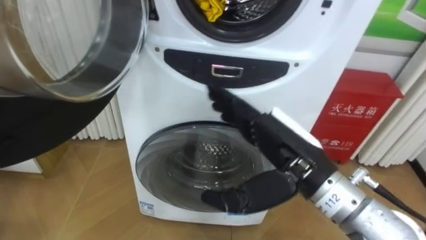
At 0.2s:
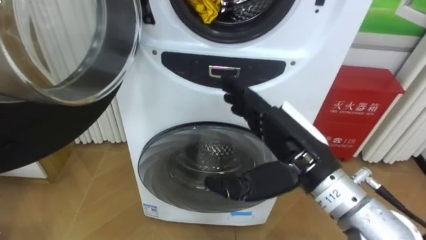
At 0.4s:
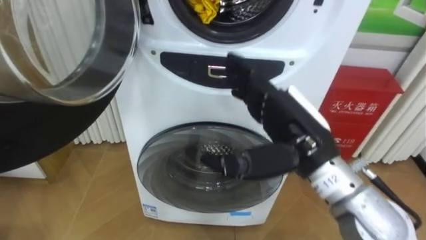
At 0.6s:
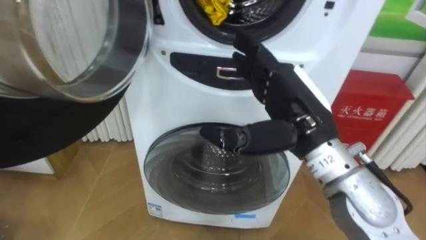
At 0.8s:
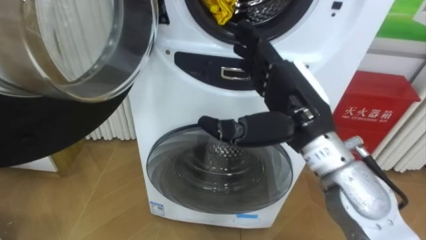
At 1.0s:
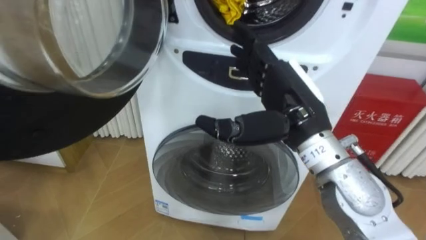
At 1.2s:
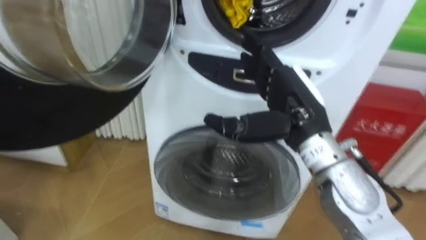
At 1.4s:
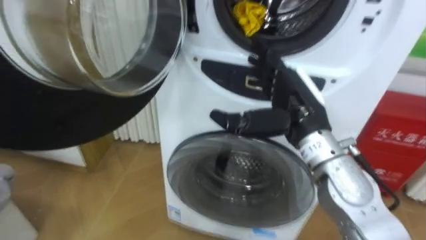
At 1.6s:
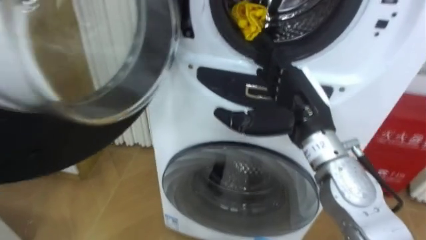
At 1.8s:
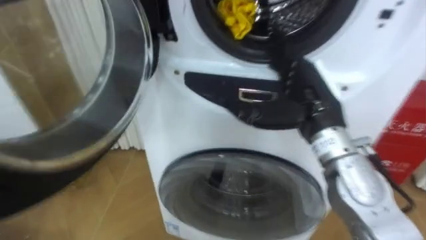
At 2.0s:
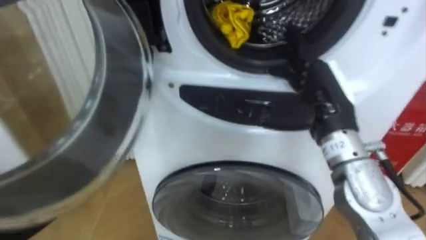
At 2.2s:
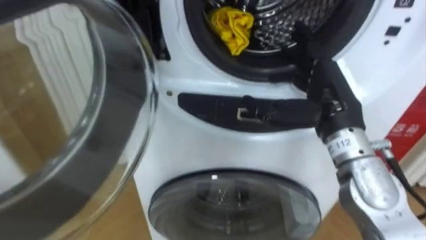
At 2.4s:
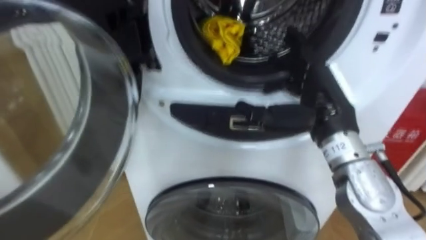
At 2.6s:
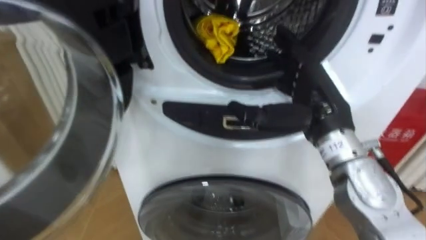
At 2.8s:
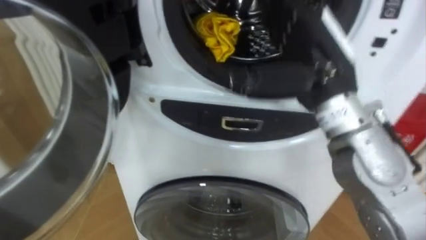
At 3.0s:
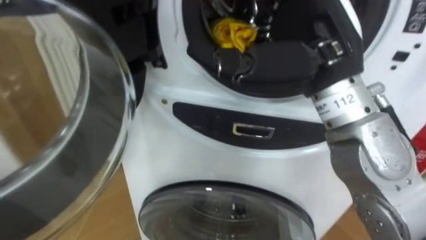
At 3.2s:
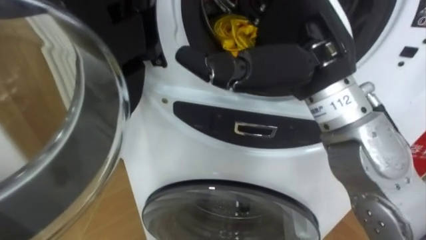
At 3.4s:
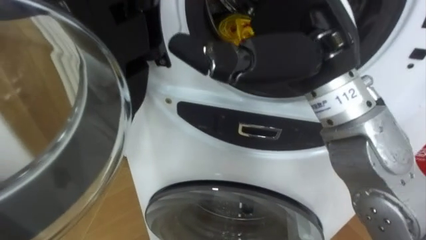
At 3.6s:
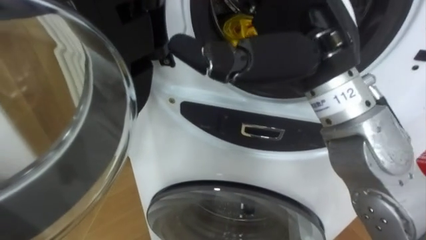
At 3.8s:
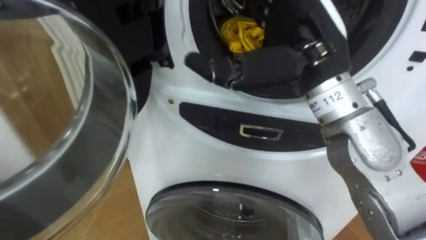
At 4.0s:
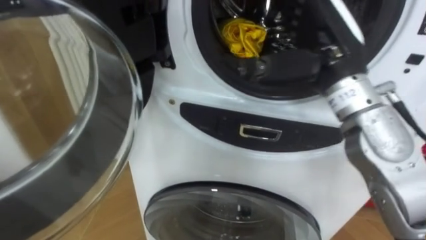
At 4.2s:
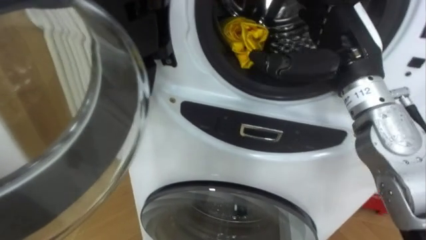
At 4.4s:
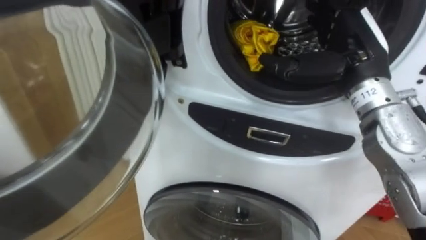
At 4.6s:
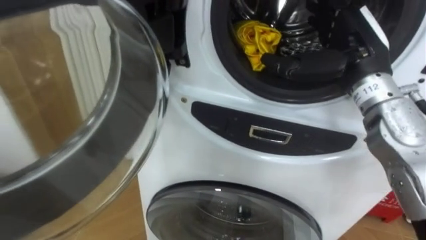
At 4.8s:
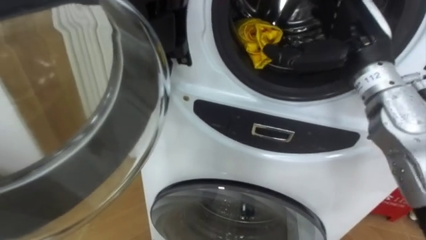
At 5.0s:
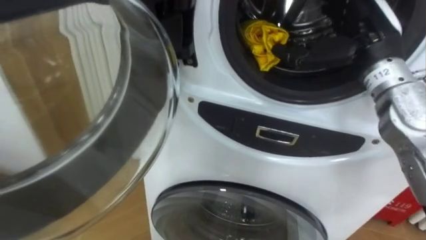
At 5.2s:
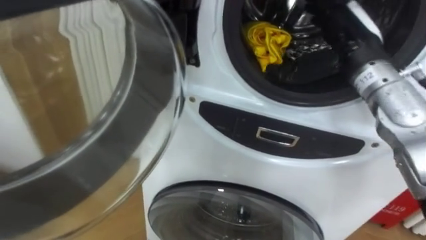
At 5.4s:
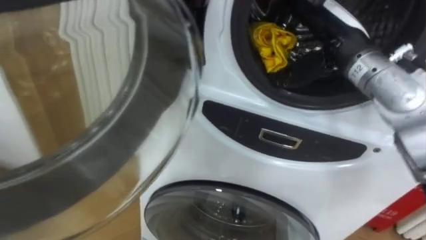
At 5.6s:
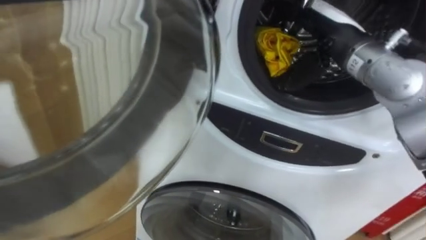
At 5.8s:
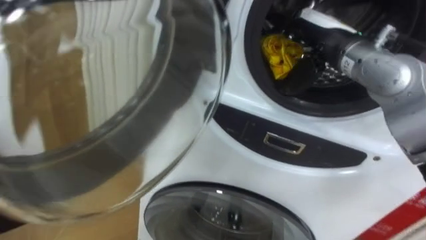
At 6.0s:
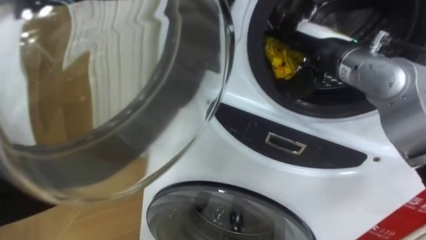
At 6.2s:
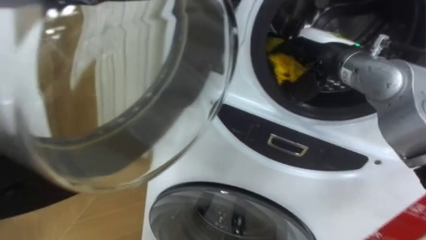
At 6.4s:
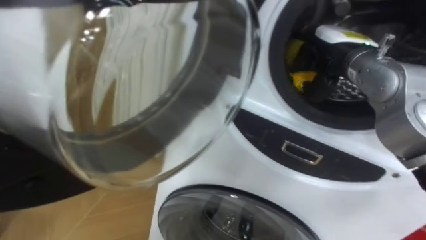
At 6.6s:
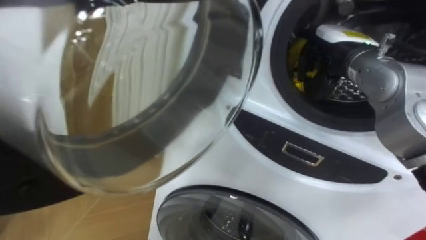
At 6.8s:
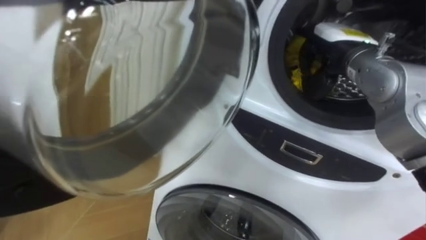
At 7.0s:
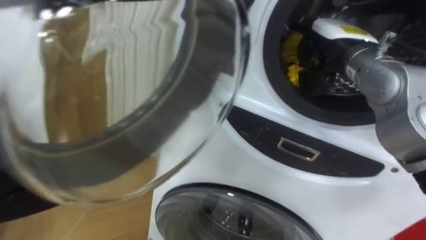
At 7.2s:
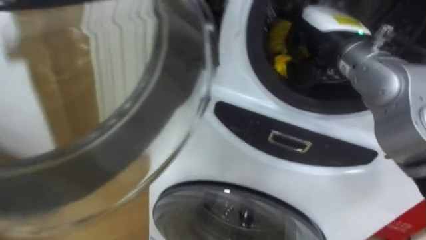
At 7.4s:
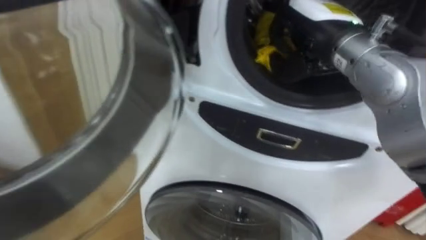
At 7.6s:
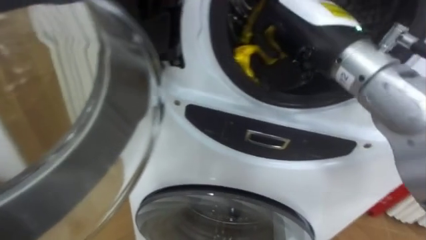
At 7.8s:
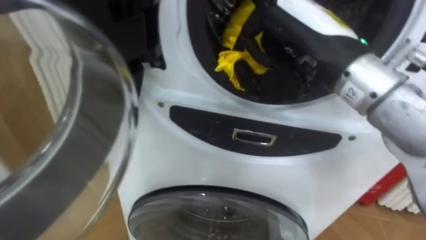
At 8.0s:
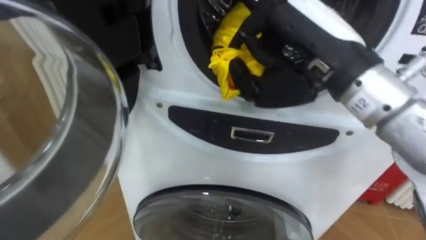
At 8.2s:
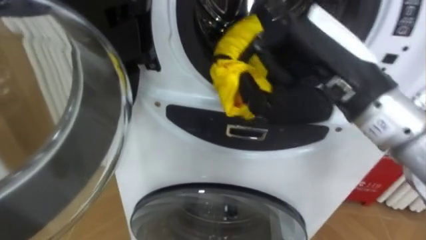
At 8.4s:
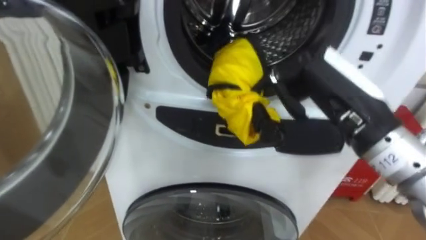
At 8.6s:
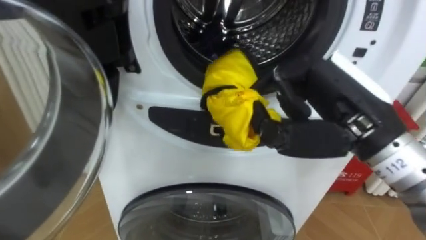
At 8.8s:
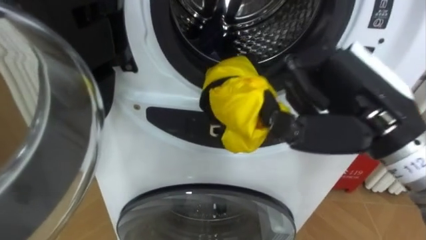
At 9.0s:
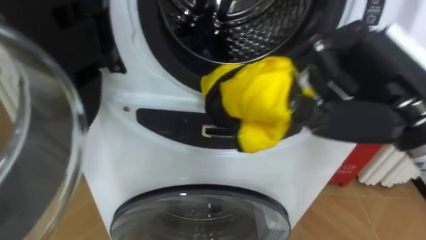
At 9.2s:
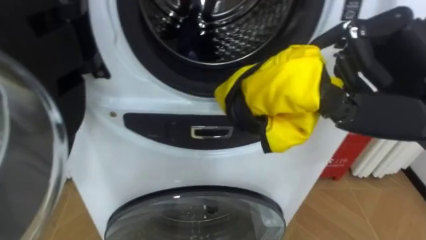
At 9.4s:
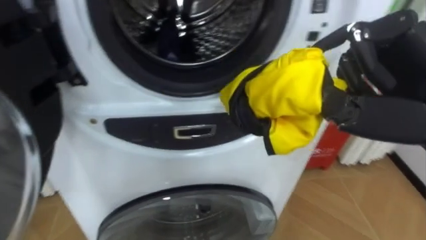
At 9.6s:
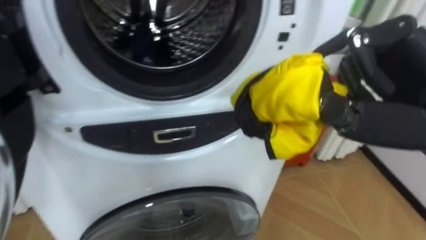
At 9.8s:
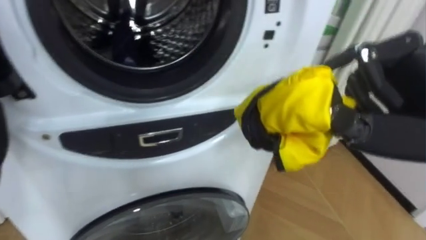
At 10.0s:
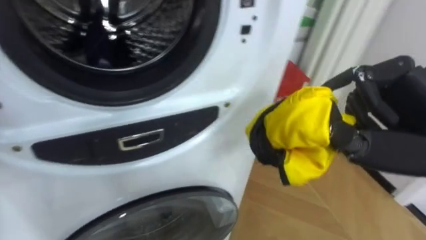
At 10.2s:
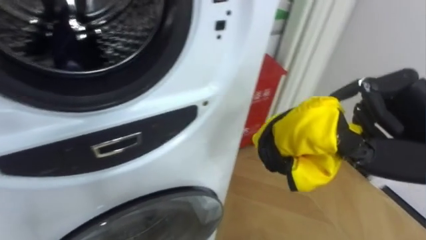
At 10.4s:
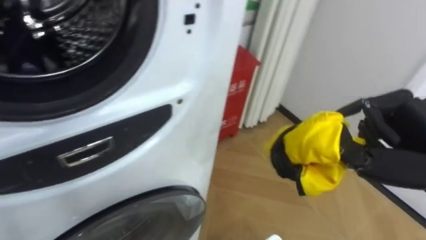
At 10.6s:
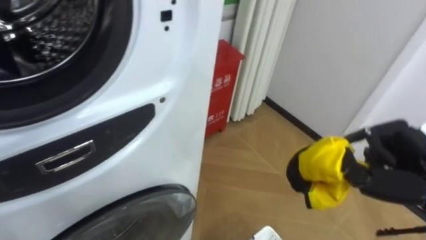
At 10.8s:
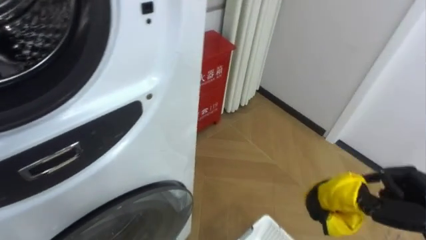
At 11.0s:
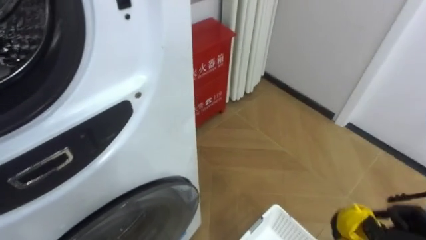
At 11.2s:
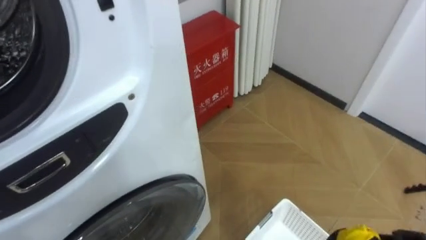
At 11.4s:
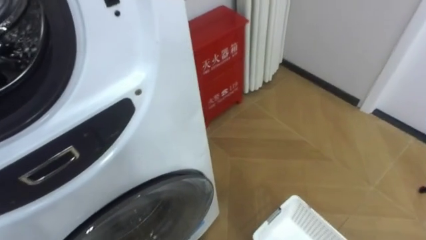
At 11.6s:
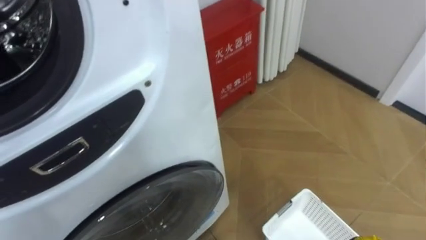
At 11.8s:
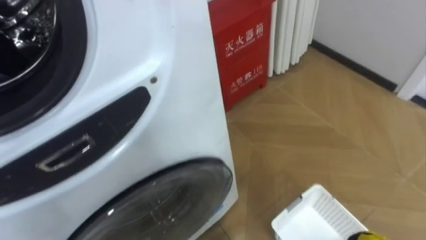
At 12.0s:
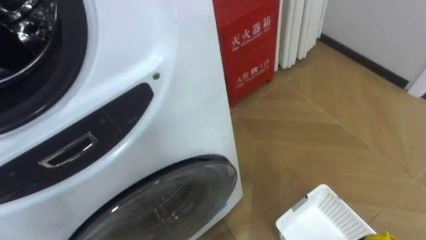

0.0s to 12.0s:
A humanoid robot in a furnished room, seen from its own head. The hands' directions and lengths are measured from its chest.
Task of the whole recording: Open the washing machine door, take out the yellow clothes, place them in the box on the right, and close the washing machine door.
0.0s to 1.6s: The right hand heads forward, covering roughly 5 cm.
1.6s to 3.0s: The right hand moves upward, some 10 cm.
3.0s to 4.4s: The right hand travels to the right, forward and downward by approximately 15 cm.
4.4s to 6.0s: The right hand changes place by about 5 cm.
6.0s to 7.6s: The right hand is displaced backward and upward by about 10 cm, and closes its fingers.
7.6s to 9.0s: The right hand travels backward and to the right by approximately 10 cm.
9.0s to 10.4s: The right hand shifts some 10 cm to the right and downward.

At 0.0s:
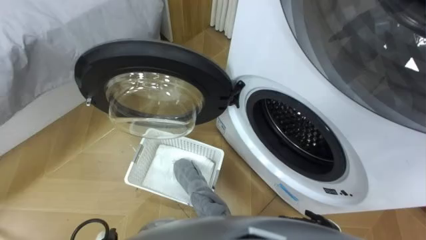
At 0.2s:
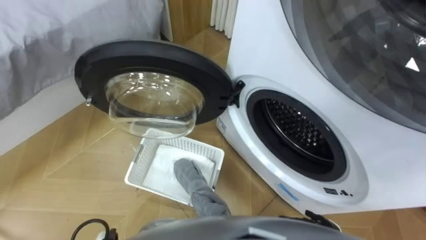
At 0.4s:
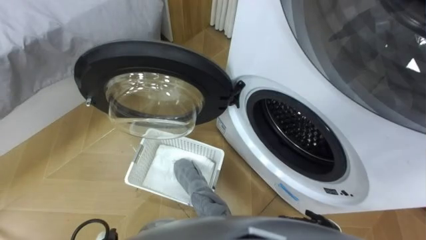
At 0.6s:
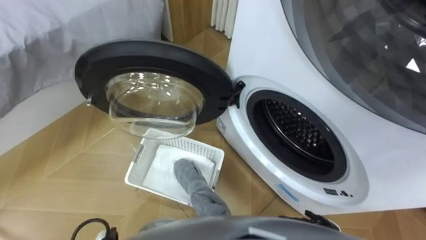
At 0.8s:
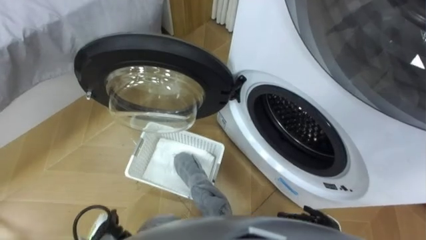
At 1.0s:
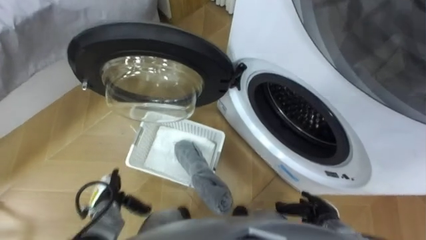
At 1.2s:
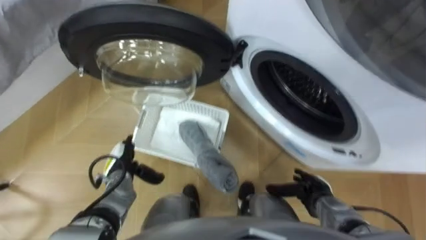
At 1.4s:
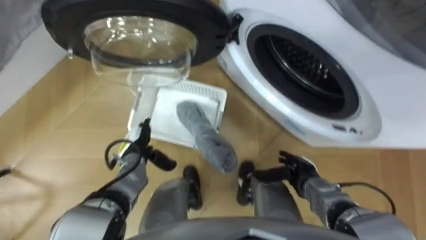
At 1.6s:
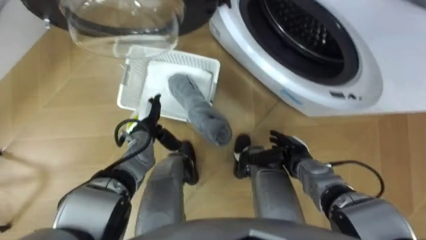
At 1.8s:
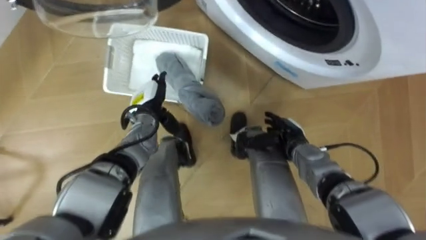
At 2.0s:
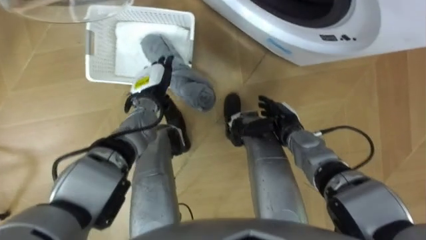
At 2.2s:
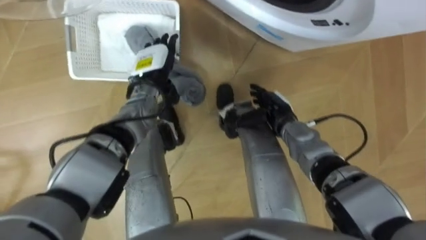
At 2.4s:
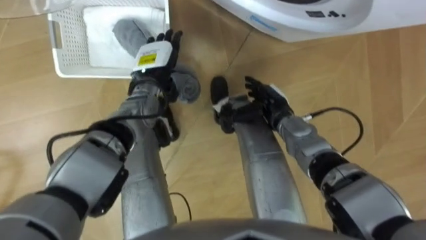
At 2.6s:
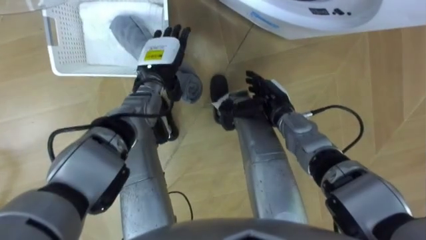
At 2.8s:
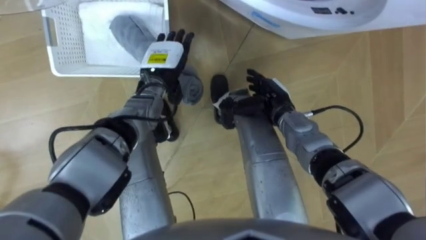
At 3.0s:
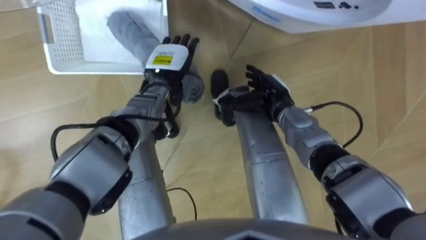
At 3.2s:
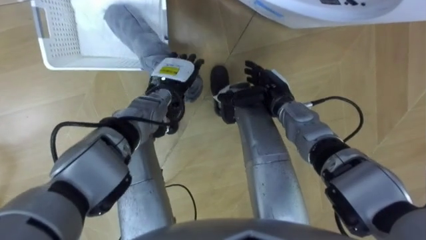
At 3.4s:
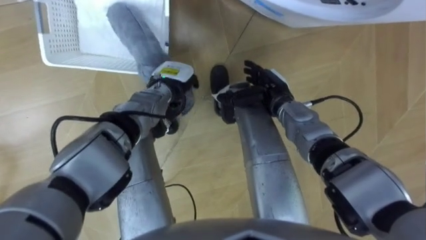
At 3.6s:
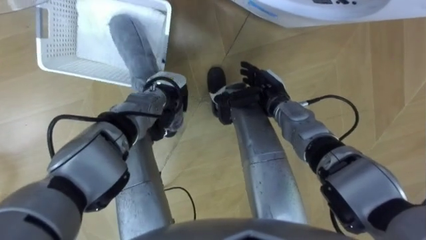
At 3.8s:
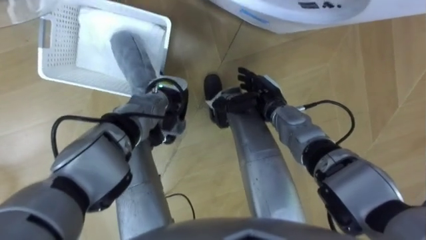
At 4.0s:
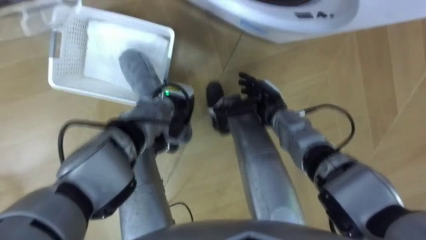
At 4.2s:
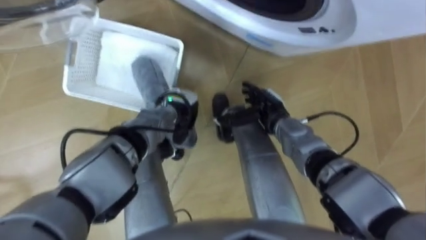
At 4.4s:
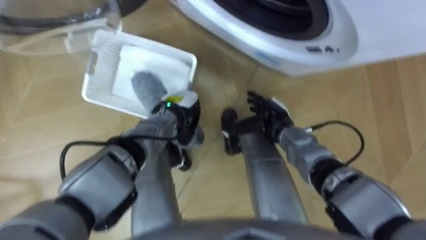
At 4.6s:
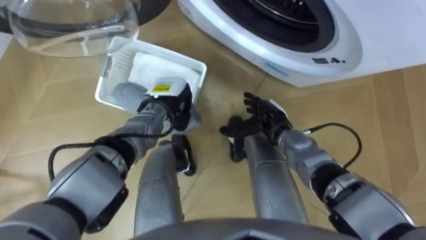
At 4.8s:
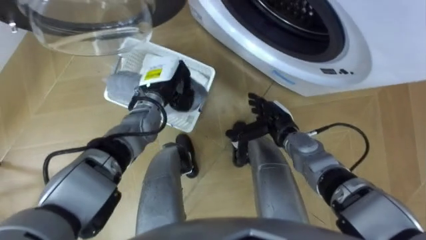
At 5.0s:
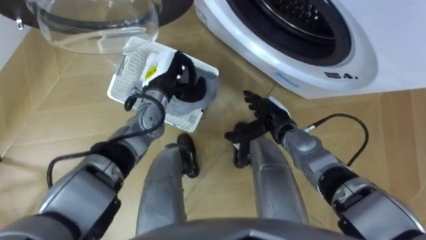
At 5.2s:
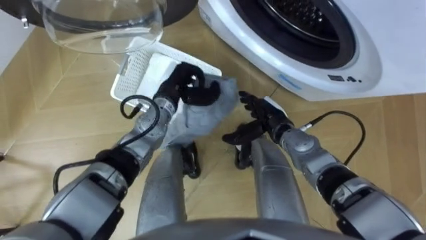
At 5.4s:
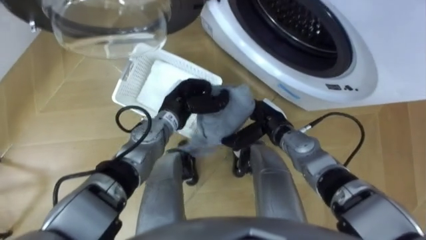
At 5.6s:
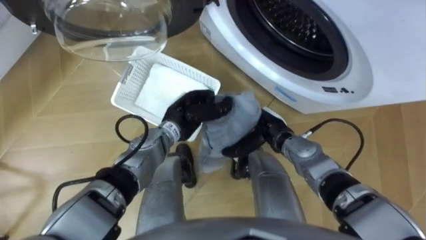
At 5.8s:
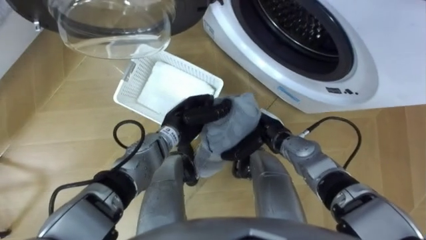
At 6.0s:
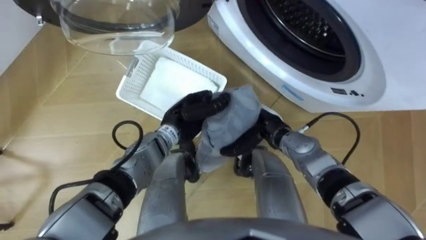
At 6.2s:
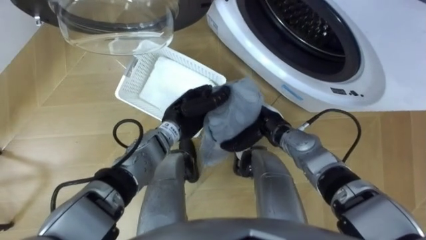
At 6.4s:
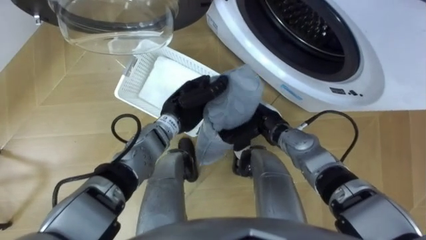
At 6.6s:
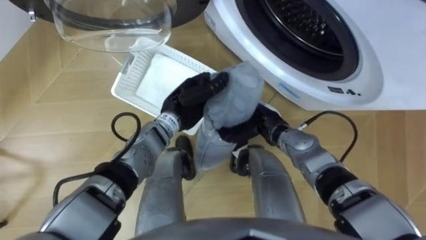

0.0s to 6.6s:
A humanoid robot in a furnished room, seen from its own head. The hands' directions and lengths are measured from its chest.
Task of the whole recording: Take the towel from the basket and put it into the washing machine.
1.6s to 3.2s: The left hand travels to the right, forward and upward by roughly 10 cm, while the right hand heads forward, upward and to the left, covering some 15 cm.
3.2s to 5.0s: The right hand shifts by roughly 5 cm; the left hand closes.
5.0s to 6.6s: The left hand moves to the right, some 5 cm; the right hand closes its fingers.
